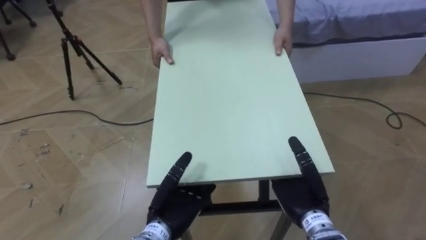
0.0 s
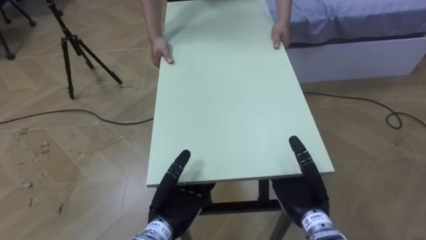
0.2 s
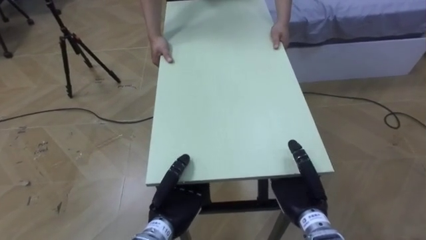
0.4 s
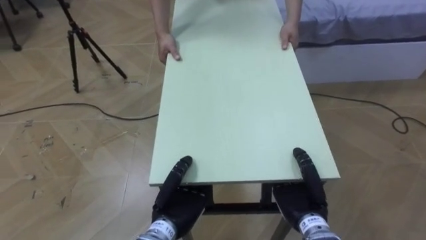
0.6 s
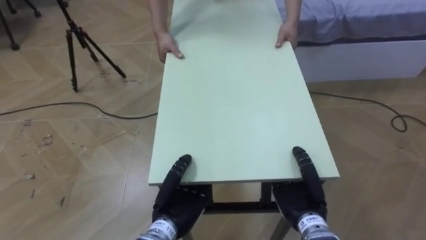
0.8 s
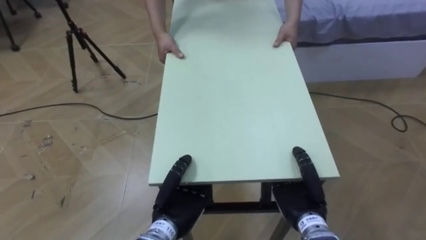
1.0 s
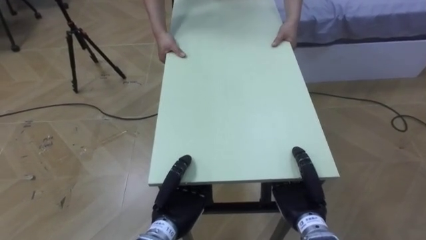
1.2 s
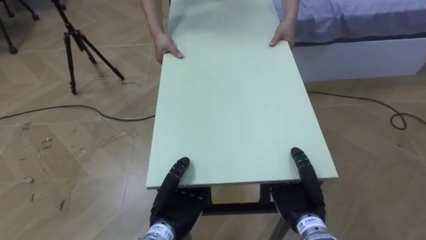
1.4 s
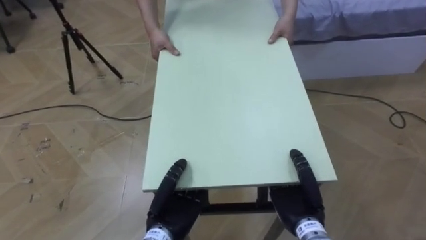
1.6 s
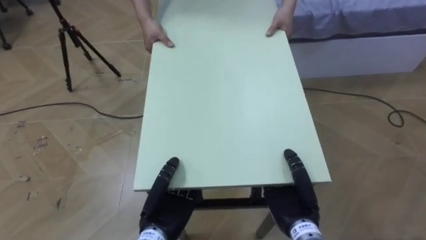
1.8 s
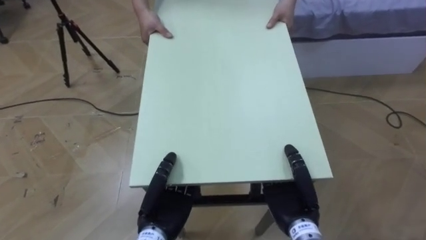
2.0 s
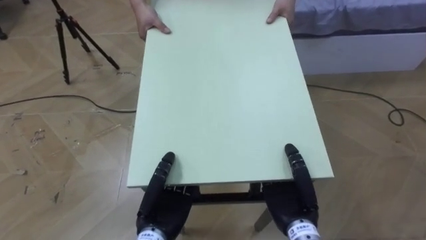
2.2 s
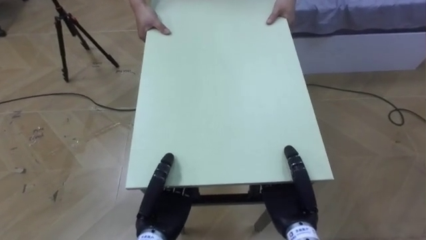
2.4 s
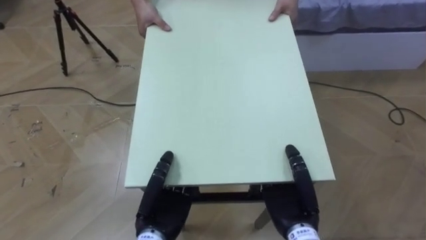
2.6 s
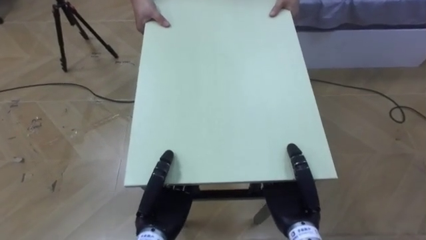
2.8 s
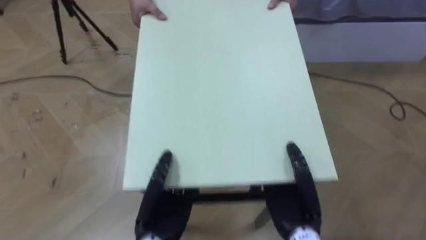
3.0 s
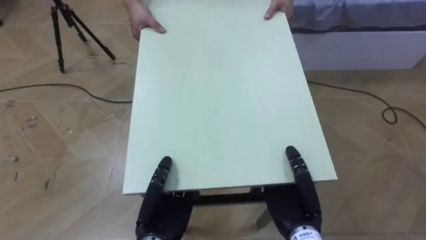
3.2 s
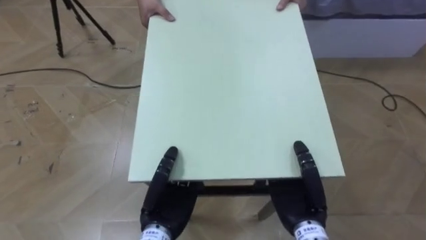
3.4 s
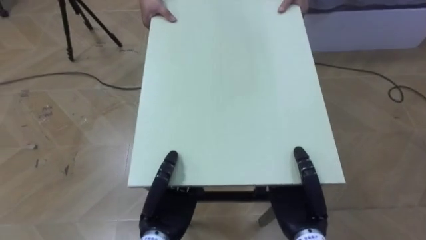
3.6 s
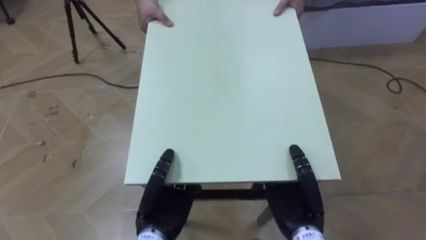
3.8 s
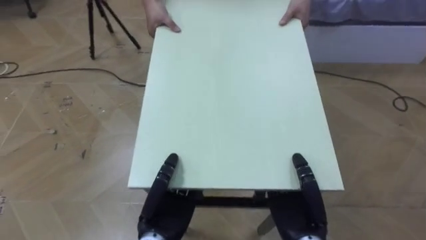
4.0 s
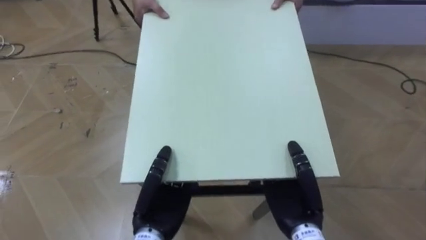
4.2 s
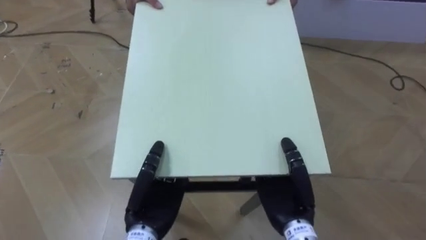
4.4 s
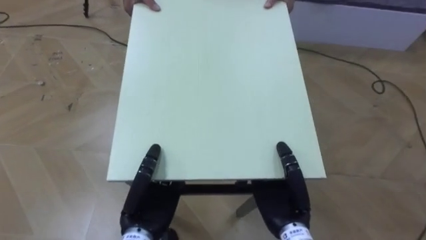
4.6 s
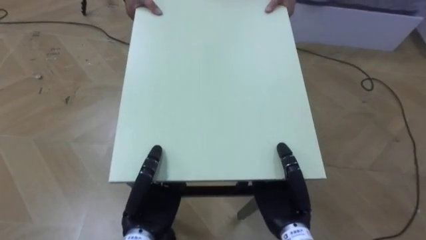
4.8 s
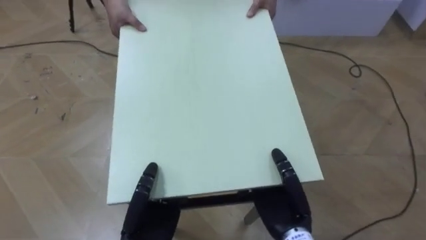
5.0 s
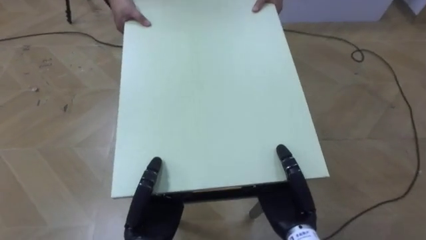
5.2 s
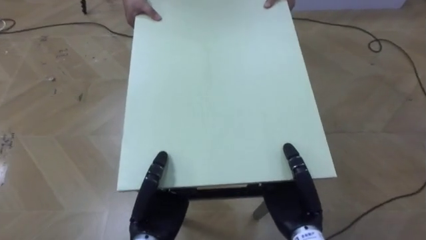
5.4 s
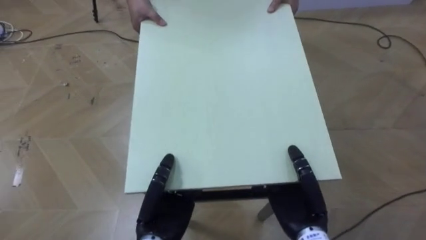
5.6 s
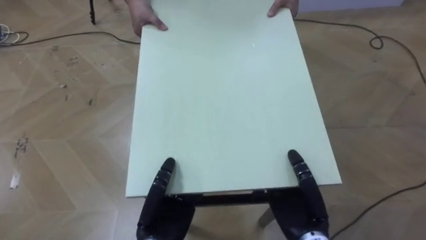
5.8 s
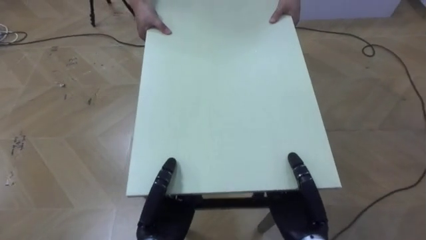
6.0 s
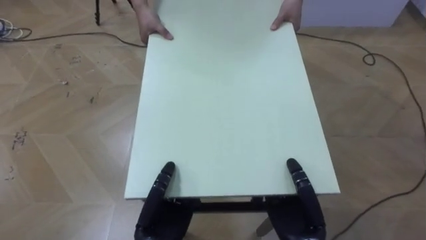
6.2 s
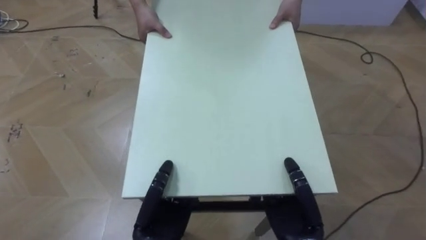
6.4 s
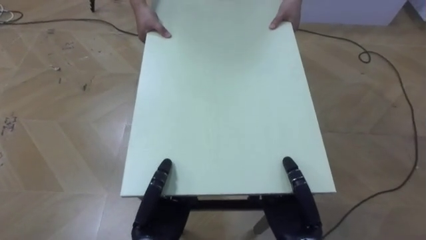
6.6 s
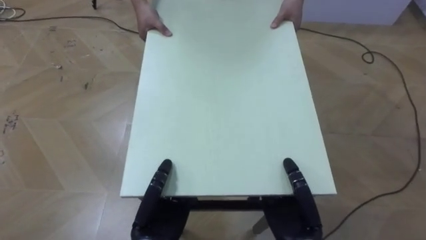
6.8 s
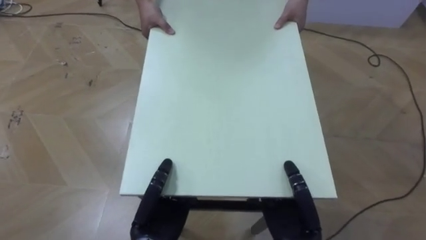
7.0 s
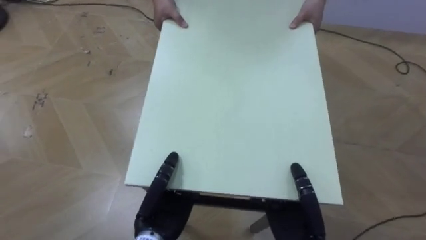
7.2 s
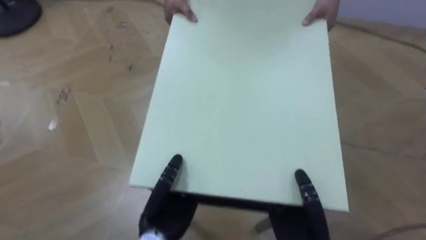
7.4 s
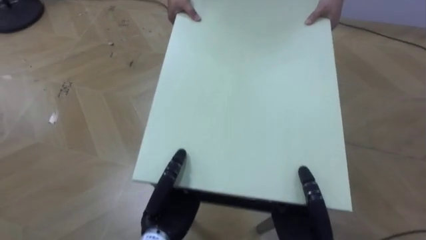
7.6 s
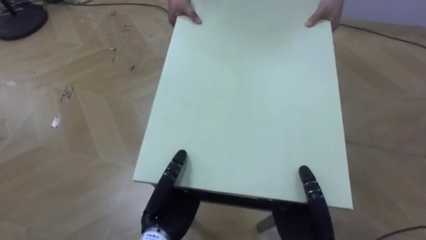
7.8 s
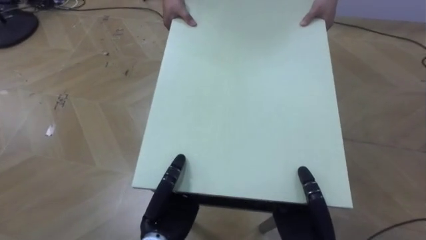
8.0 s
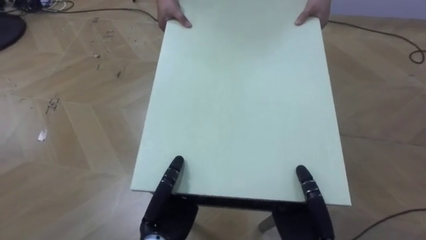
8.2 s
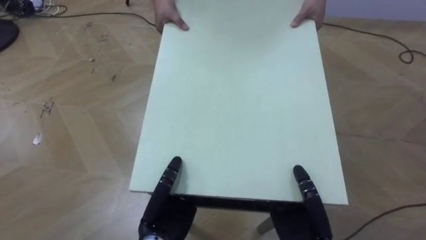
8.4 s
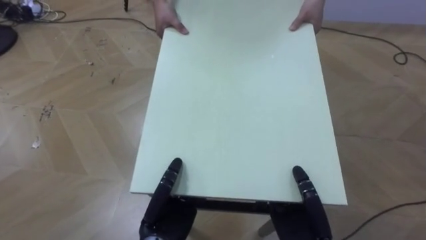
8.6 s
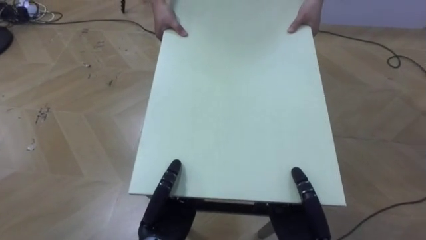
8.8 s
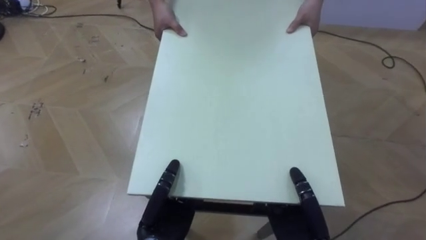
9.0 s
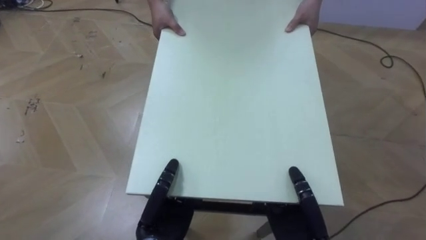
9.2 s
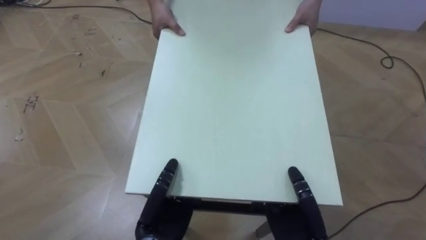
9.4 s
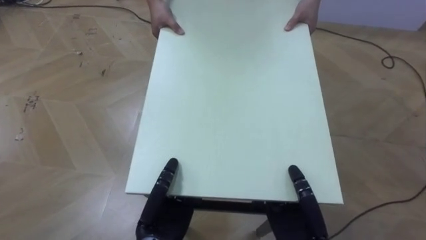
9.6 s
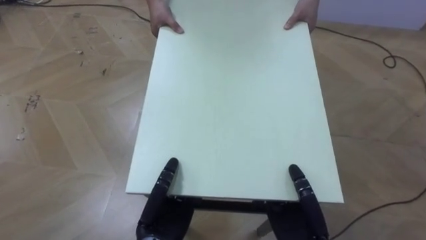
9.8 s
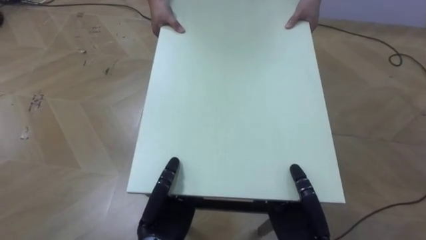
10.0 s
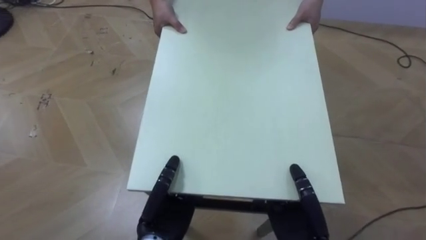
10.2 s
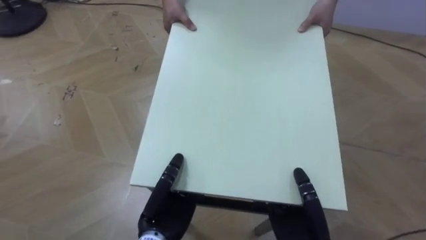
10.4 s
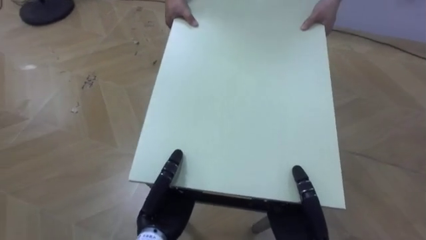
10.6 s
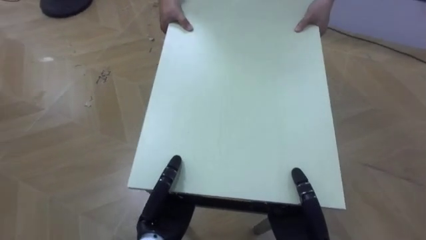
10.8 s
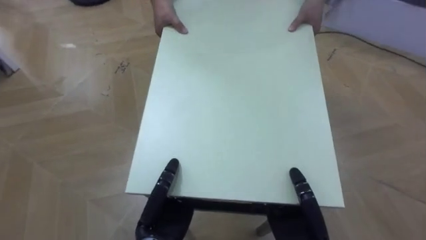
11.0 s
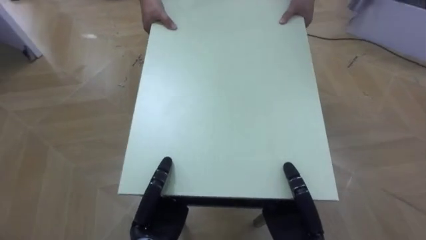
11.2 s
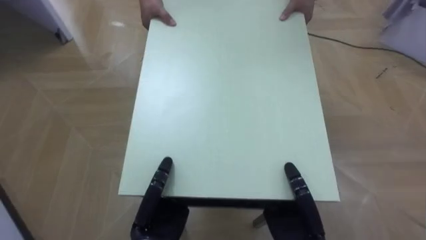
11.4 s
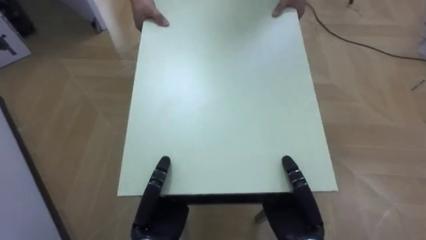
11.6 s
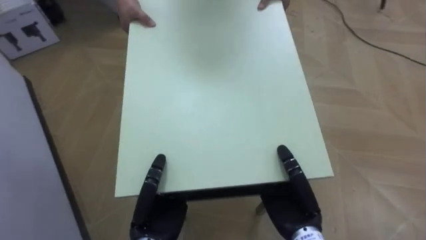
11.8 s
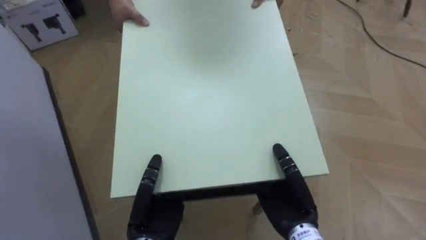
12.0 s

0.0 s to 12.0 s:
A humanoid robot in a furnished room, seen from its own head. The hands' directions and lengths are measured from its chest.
Task of the whole recording: Move the table to the back left with someone.
0.0 to 1.6 s: The left hand closes up. Meanwhile the right hand closes up.
6.0 to 7.6 s: The robot turns to its left by some 20 degrees.
10.4 to 12.0 s: The robot turns to its left by approximately 35 degrees. The right hand moves about 5 cm.

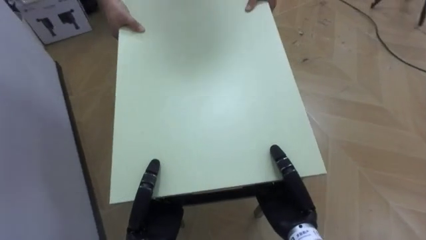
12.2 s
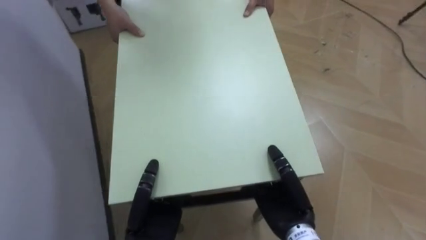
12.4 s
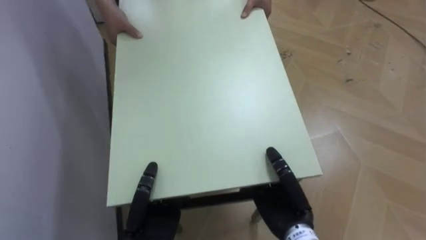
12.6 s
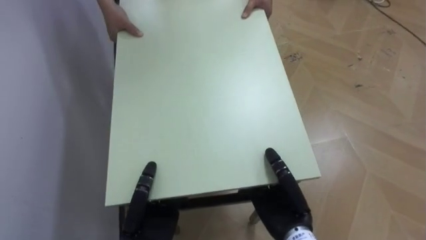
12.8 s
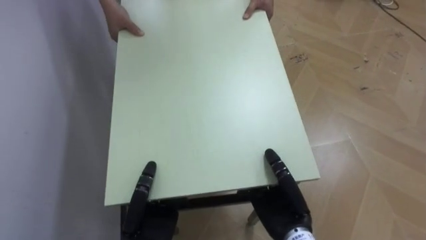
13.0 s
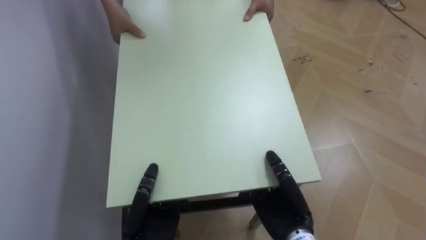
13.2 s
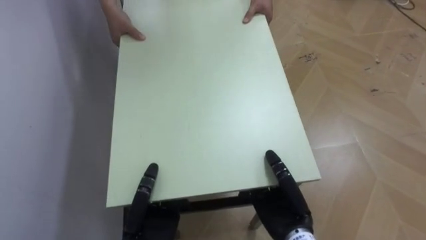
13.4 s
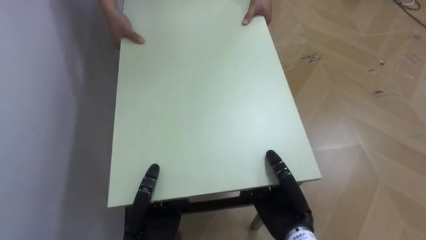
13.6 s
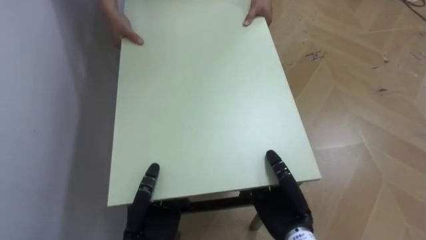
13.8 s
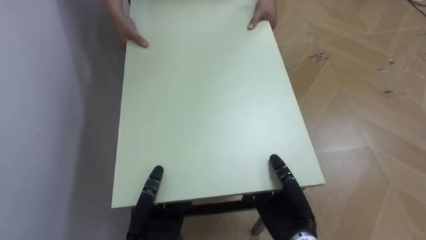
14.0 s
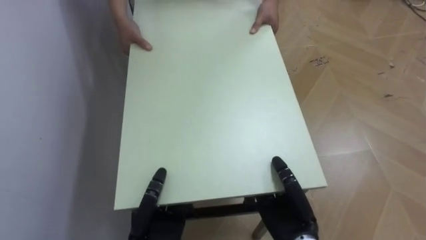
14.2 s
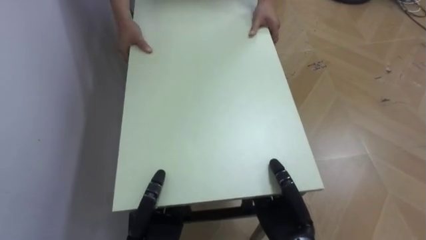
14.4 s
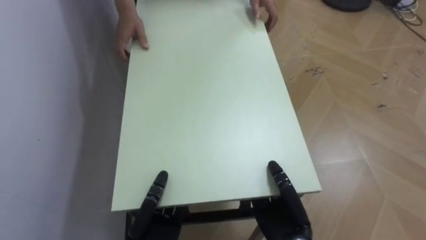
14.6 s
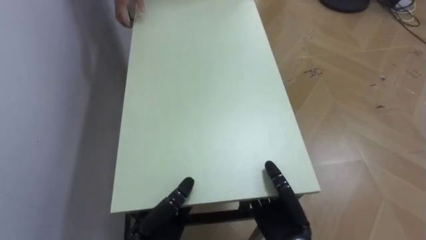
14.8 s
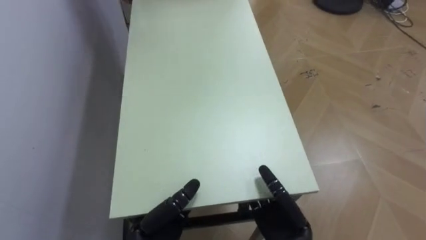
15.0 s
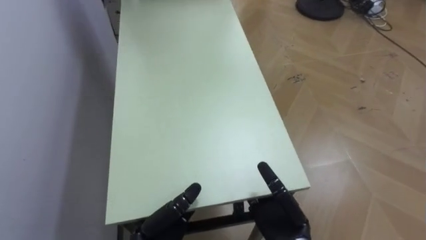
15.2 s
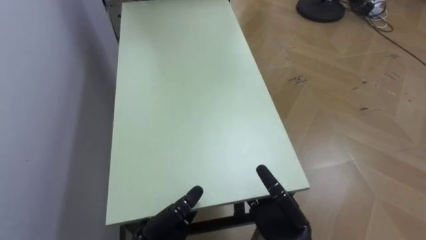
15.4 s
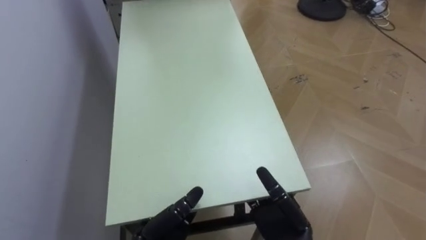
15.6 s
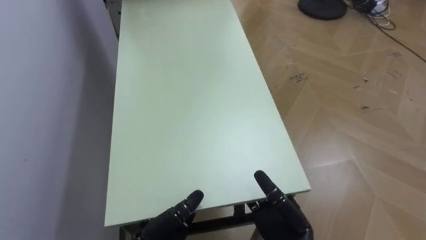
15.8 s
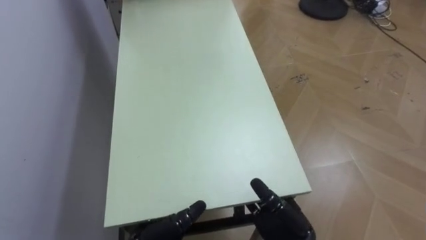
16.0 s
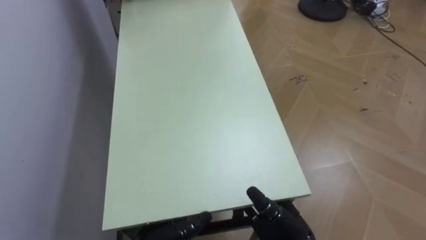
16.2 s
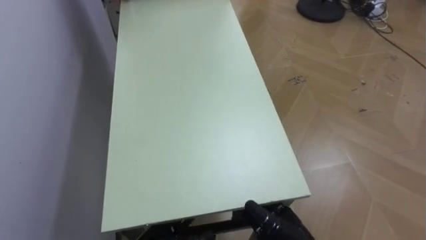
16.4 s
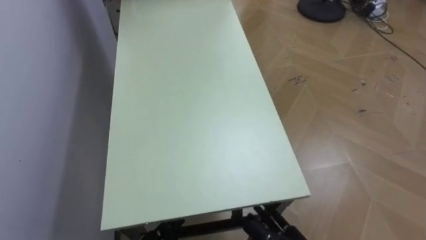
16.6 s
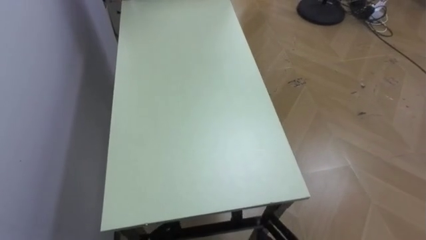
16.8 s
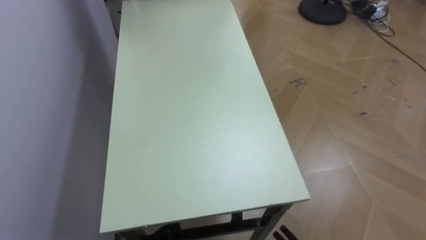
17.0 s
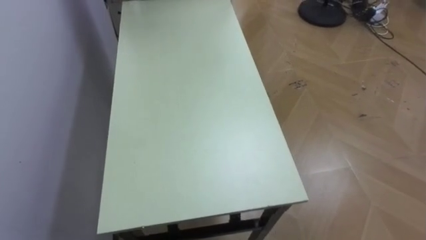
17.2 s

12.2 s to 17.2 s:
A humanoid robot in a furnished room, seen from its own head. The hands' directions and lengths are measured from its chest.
Task of the whole recording: Move the table to the back left with someone.
12.2 to 13.8 s: The robot rotates about 20 degrees to its left.
13.8 to 15.6 s: The right hand opens, while the left hand opens.
